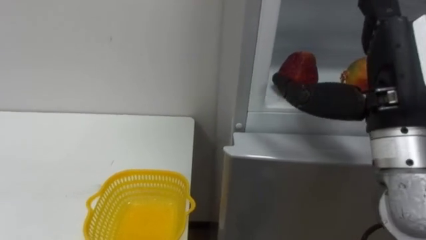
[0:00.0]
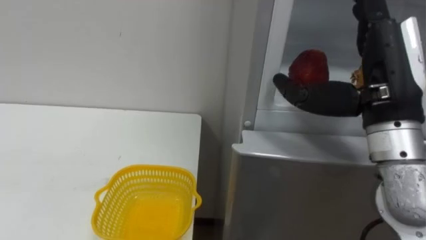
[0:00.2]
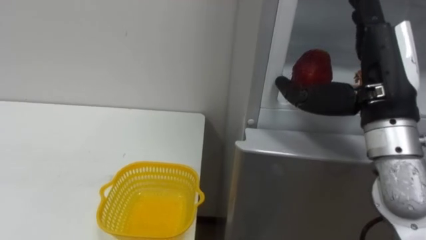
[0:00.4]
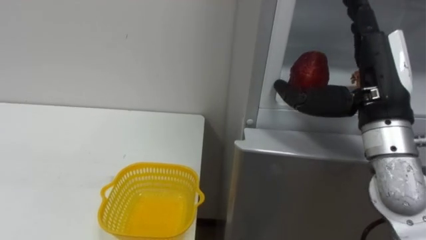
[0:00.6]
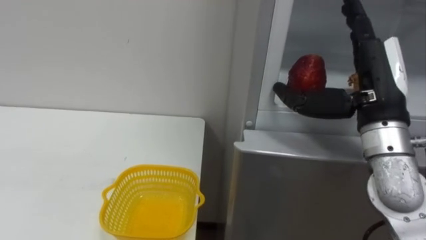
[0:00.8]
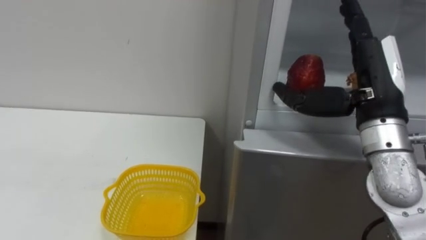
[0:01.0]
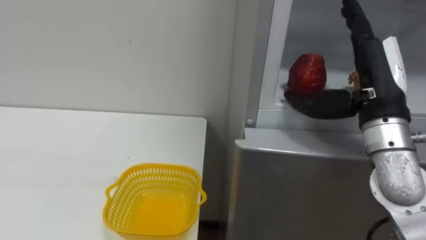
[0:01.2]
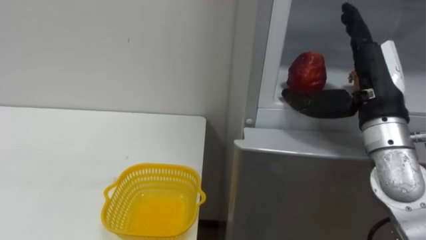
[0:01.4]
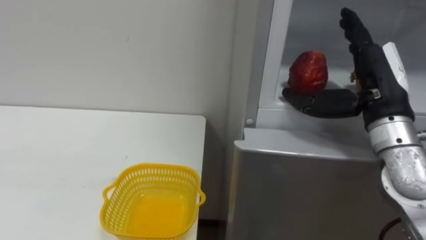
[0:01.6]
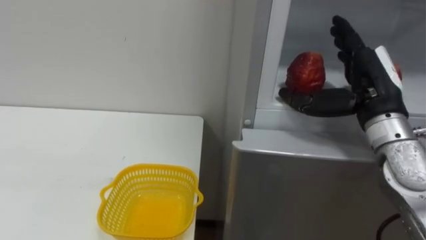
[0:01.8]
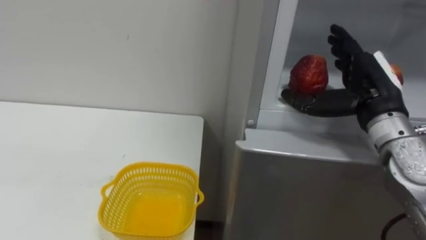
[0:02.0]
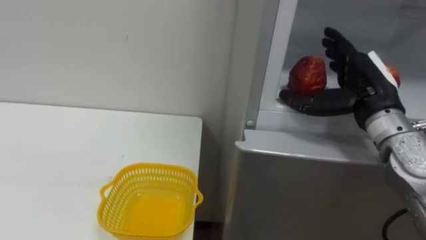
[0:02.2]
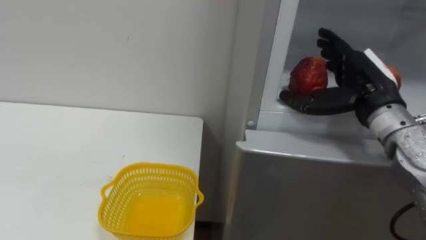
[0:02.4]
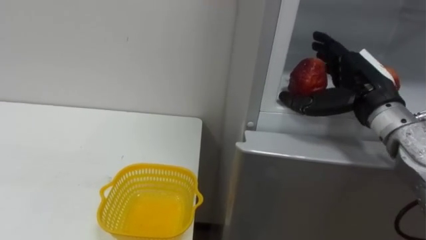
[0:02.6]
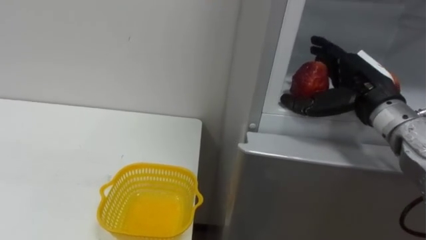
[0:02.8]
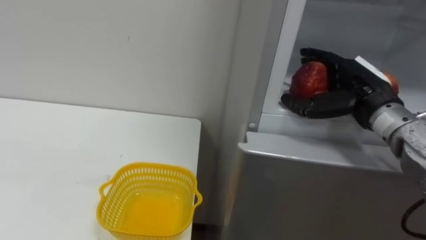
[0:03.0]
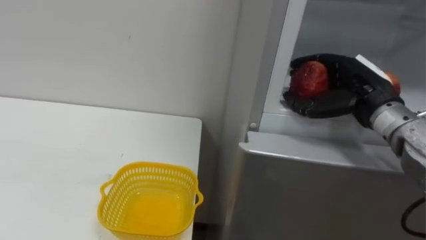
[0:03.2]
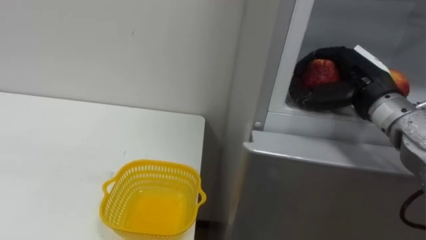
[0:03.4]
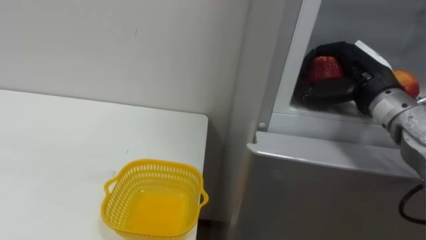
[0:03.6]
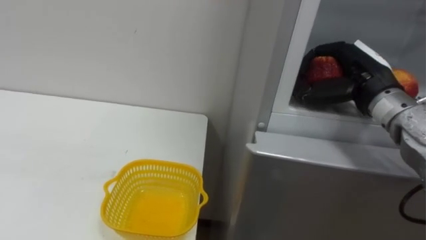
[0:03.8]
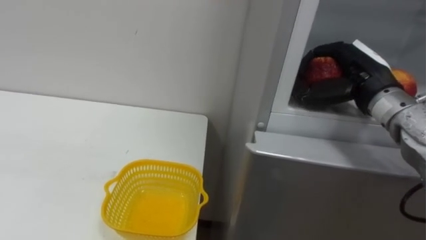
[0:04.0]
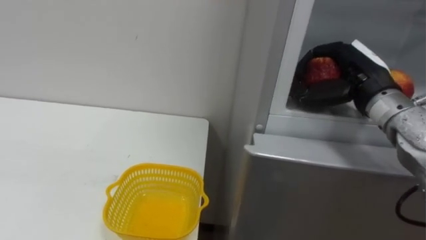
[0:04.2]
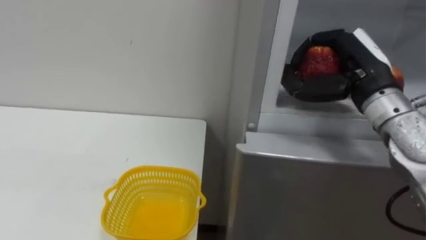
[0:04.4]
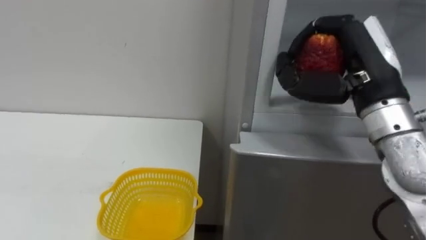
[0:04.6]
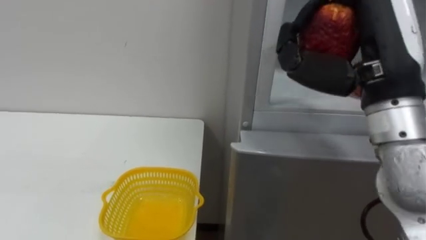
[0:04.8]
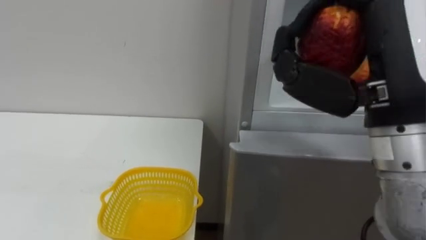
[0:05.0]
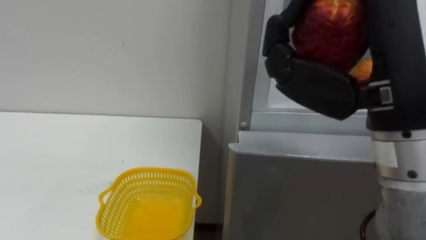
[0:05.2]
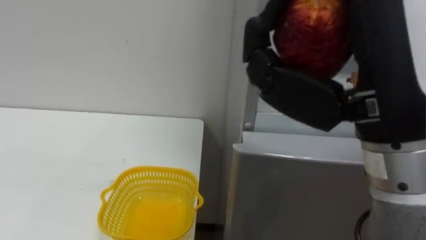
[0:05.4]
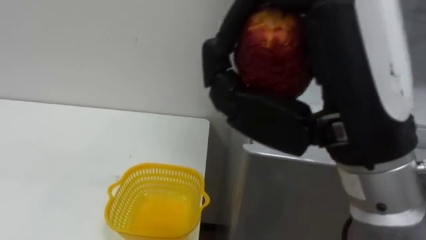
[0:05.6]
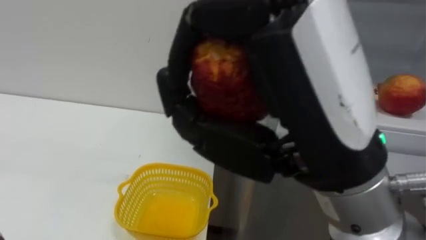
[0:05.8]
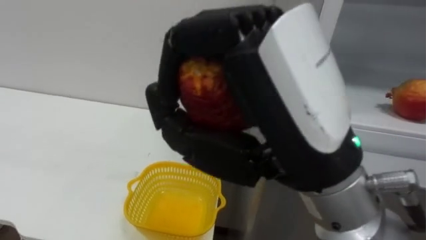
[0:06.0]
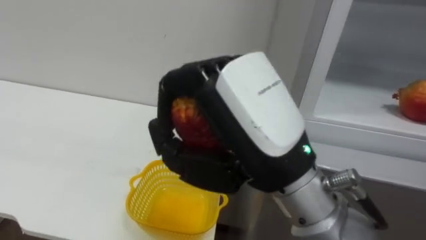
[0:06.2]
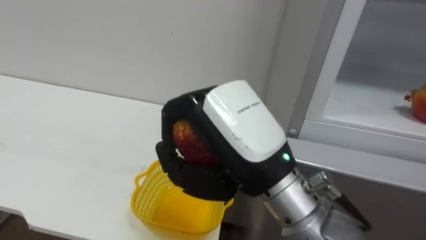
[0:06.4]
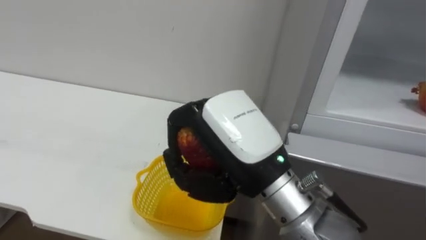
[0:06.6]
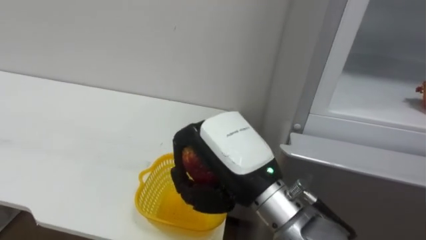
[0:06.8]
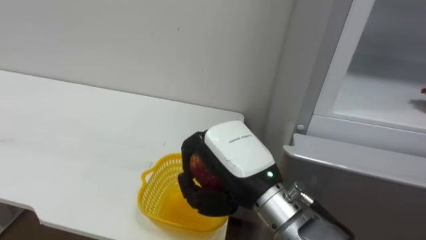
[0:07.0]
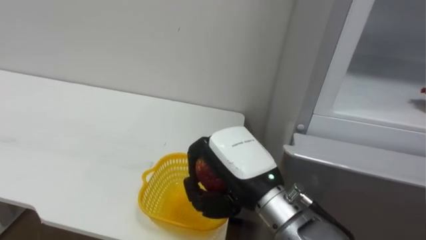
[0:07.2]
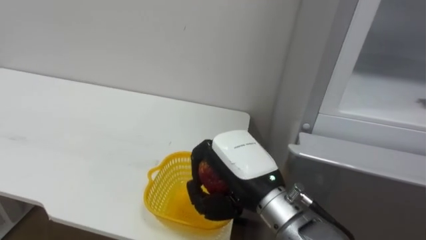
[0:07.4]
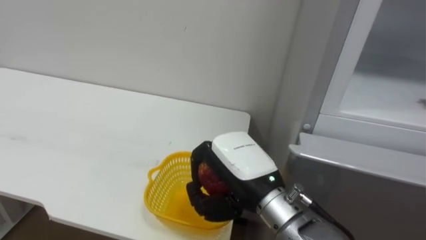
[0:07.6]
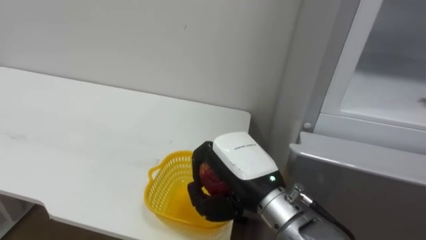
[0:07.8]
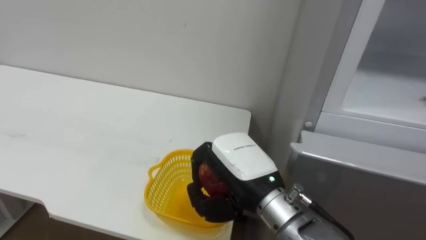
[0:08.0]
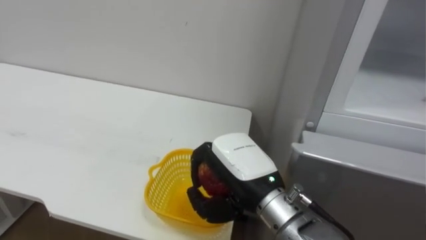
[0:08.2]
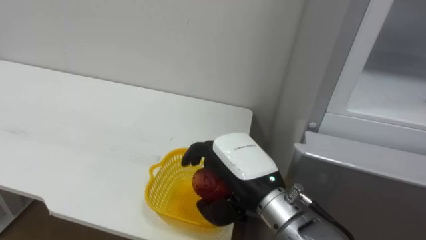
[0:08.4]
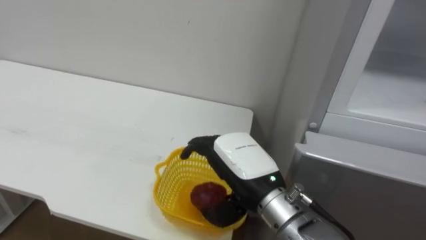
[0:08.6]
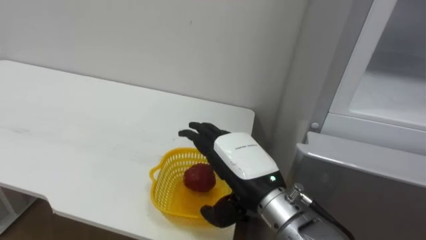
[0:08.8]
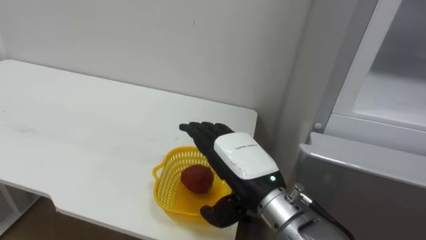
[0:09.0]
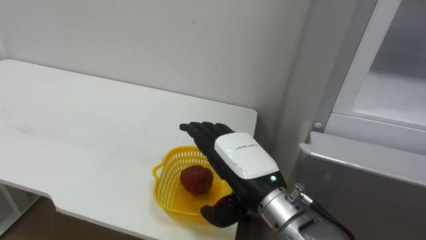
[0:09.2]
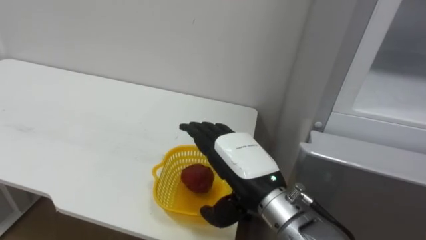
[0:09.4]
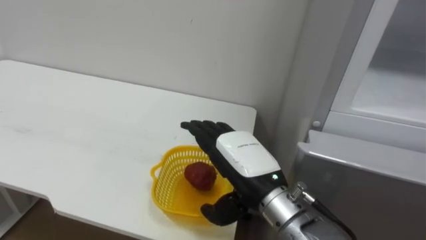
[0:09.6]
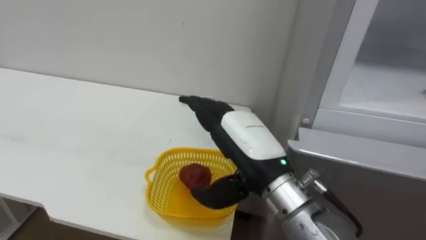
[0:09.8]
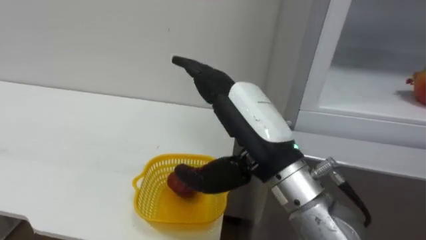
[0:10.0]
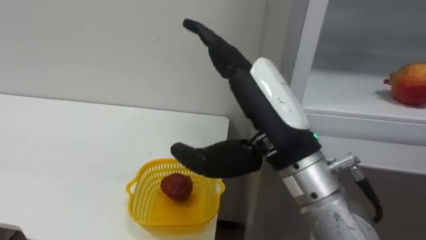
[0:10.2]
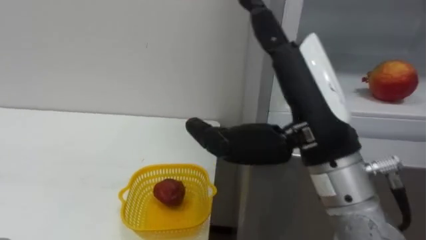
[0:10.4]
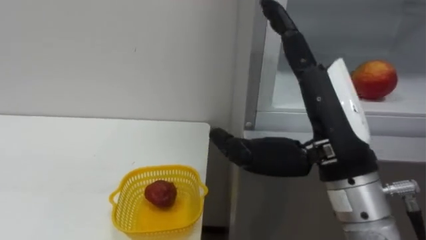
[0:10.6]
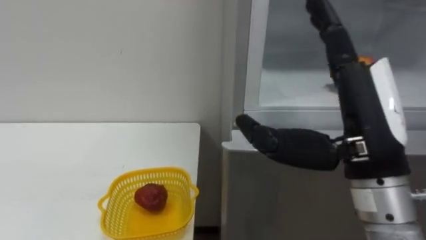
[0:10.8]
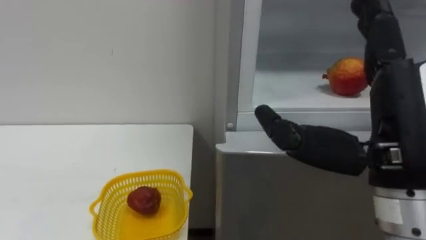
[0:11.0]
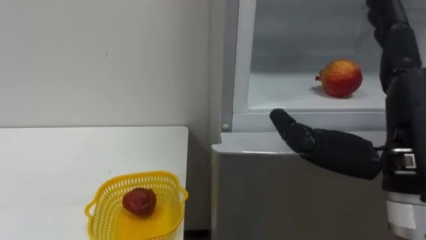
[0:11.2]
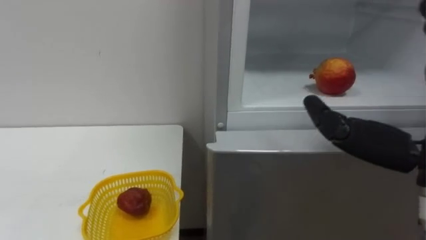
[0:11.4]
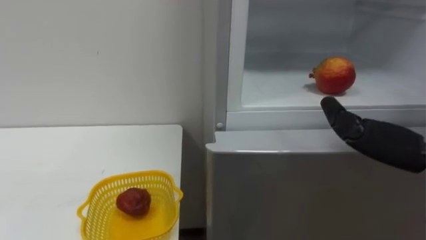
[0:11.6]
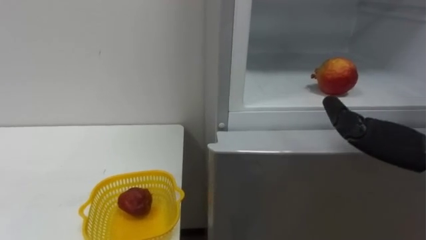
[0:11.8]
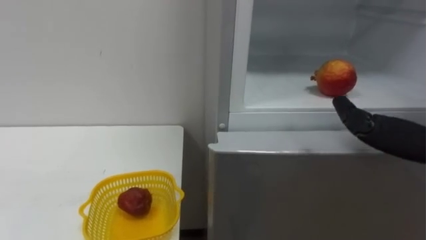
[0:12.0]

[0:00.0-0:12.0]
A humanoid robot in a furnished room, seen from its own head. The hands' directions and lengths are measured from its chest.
Task of the whole recording: Open the refrigerator door, take out the apple and the pomegranate, place them in the fruit basket on the left, and close the refrigerator door.
0:00.0 to 0:01.6: The right hand goes roughly 10 cm forward.
0:01.6 to 0:03.0: The right hand moves roughly 5 cm.
0:03.0 to 0:04.4: The right hand closes.
0:04.4 to 0:06.0: The right hand heads backward and to the left, covering about 25 cm.
0:06.0 to 0:07.6: The right hand goes approximately 20 cm downward and forward.
0:07.6 to 0:09.0: The right hand opens up.
0:09.0 to 0:10.4: The right hand is displaced upward and backward by about 15 cm.

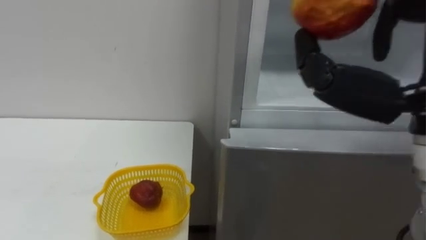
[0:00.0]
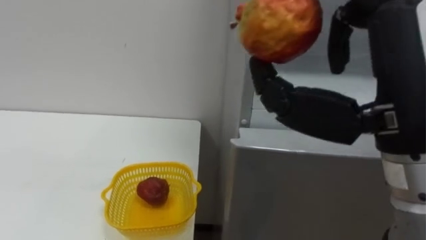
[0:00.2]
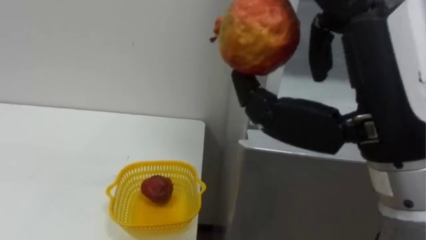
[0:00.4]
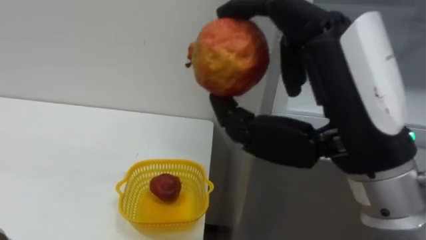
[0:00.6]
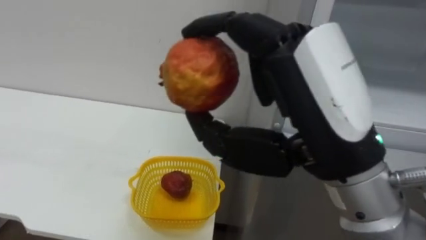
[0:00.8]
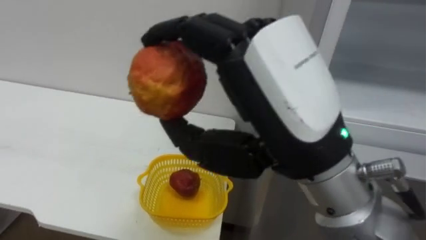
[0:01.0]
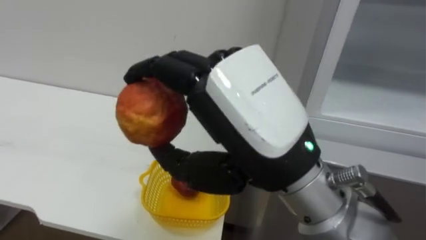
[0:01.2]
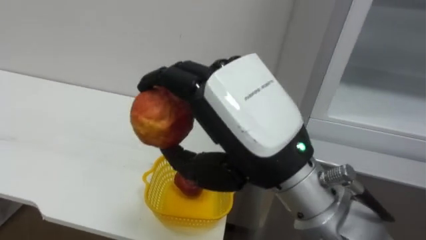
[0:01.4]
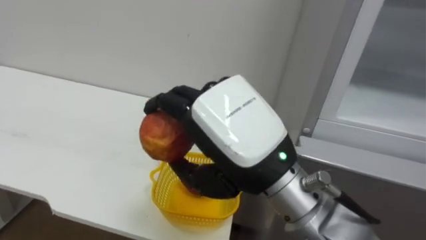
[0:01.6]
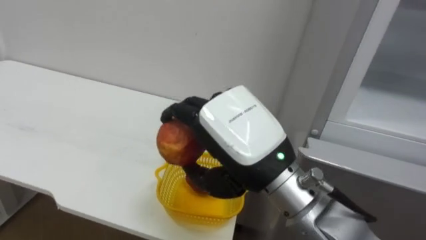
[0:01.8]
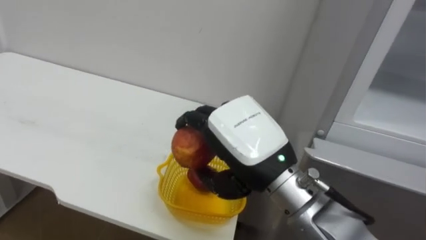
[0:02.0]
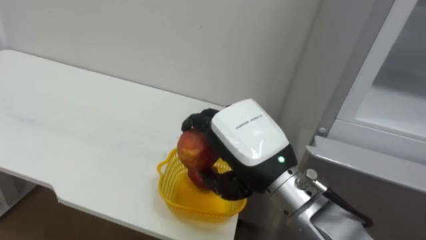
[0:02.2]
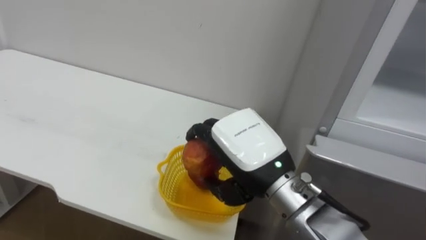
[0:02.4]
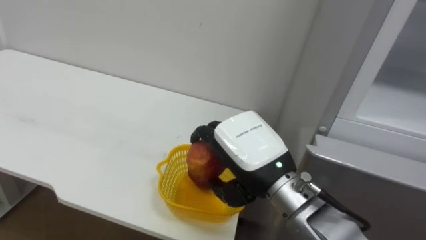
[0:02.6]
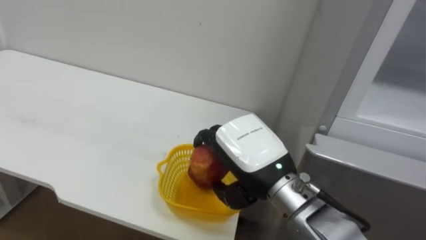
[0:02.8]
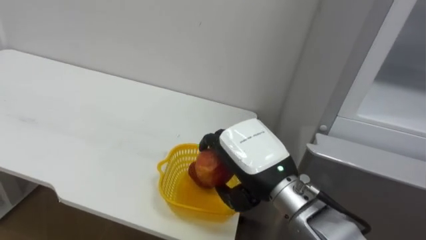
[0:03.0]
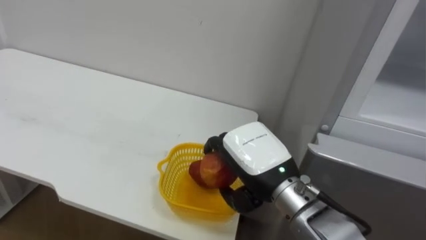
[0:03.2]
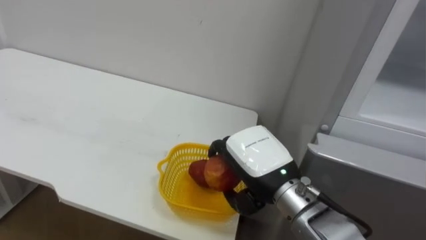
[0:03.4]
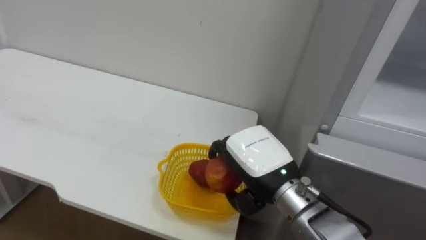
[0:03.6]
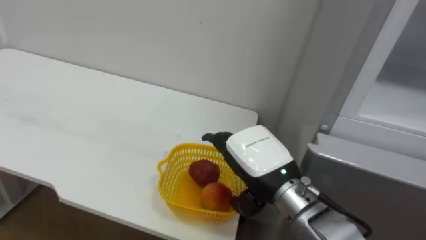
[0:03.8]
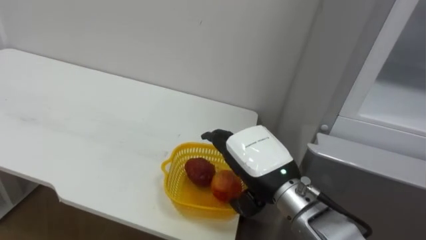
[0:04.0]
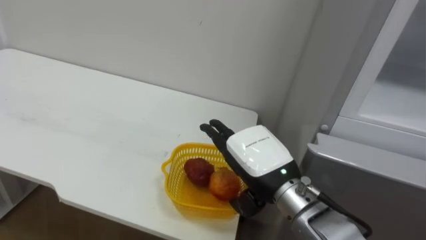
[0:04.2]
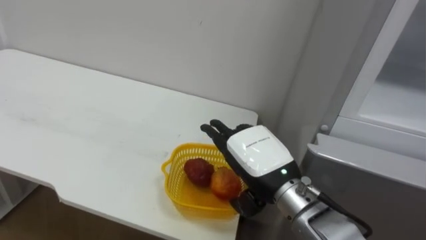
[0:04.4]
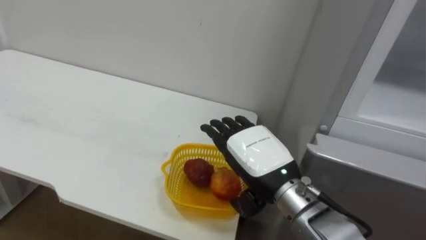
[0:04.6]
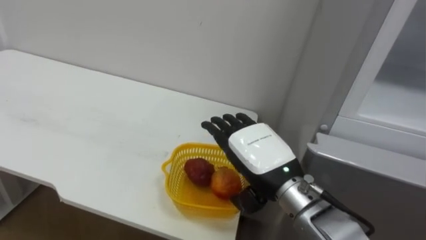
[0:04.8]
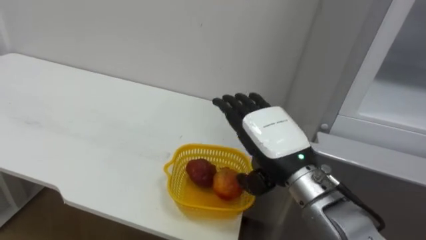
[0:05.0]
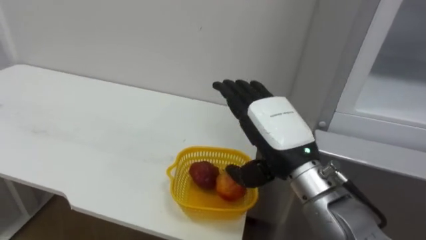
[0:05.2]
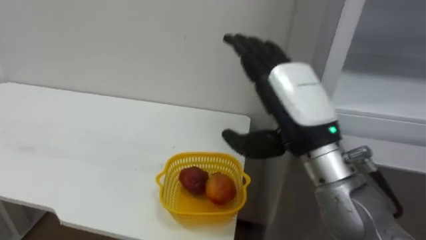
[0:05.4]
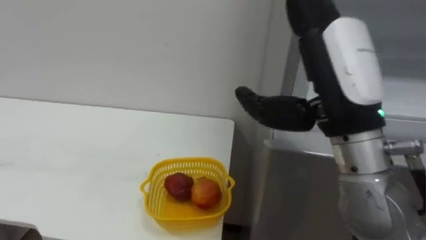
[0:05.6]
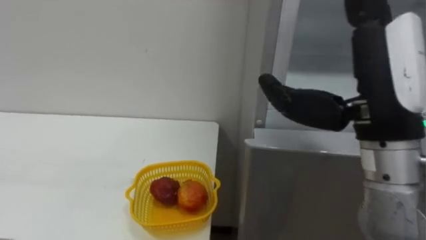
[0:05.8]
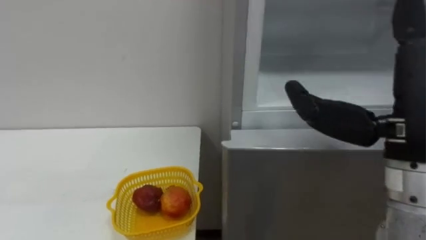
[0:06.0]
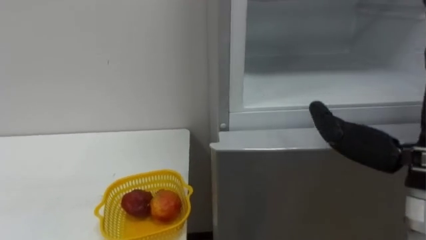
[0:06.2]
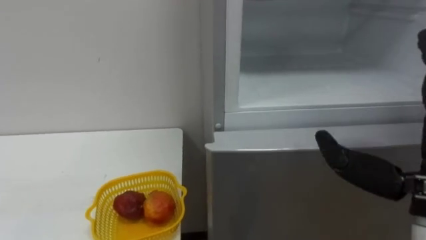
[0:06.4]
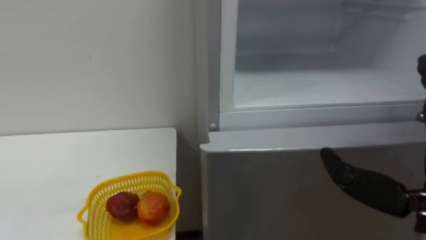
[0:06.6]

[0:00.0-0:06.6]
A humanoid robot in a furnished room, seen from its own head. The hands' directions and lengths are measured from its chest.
Task of the whole recording: Open the refrigerator door, take out the apple and the pomegranate, place them in the fruit basket on the left, and close the refrigerator door.
0:01.6 to 0:03.2: The right hand is displaced downward and forward by approximately 15 cm.
0:03.2 to 0:05.0: The right hand opens.
